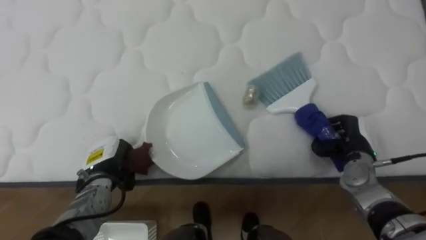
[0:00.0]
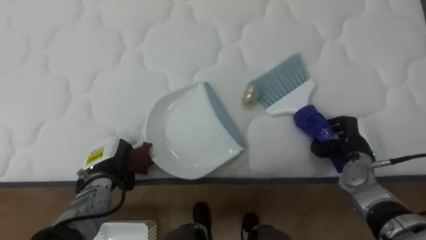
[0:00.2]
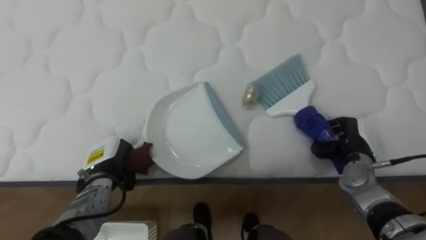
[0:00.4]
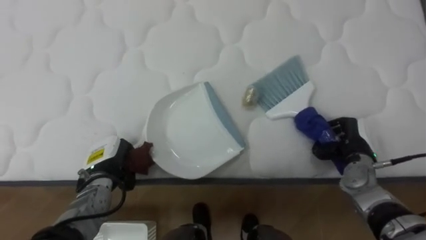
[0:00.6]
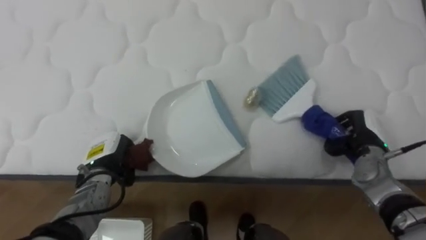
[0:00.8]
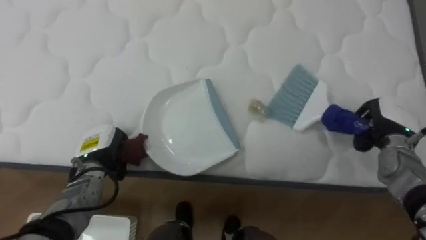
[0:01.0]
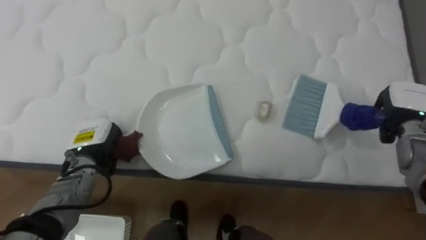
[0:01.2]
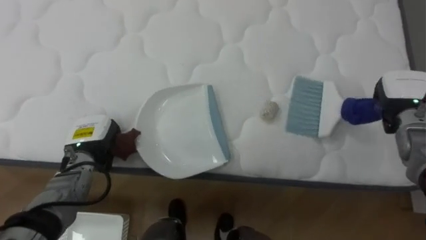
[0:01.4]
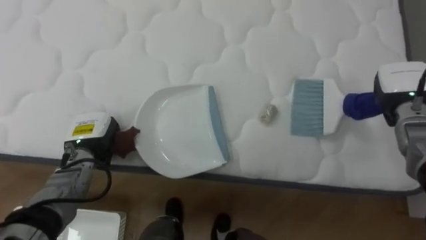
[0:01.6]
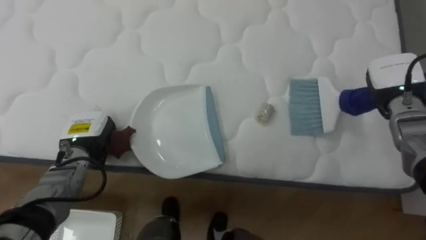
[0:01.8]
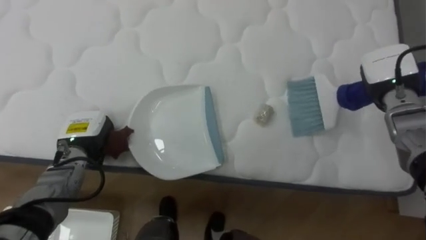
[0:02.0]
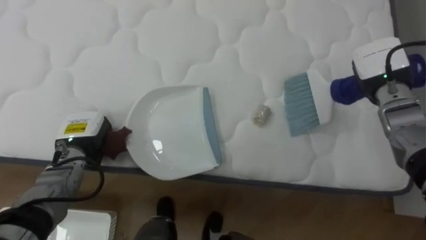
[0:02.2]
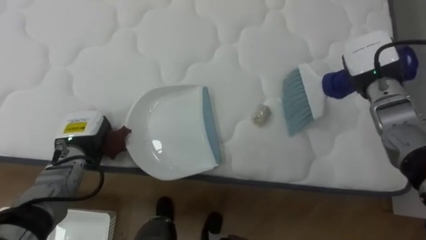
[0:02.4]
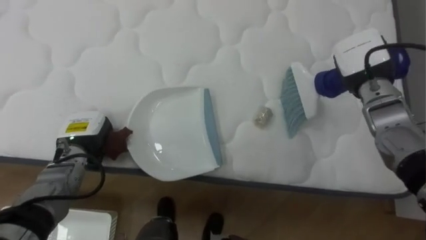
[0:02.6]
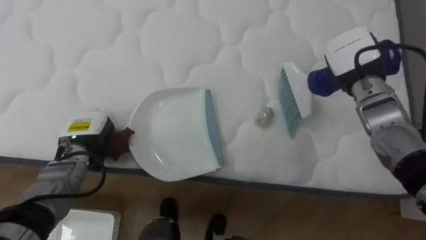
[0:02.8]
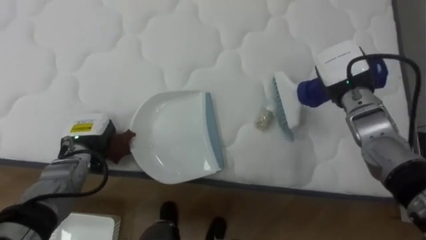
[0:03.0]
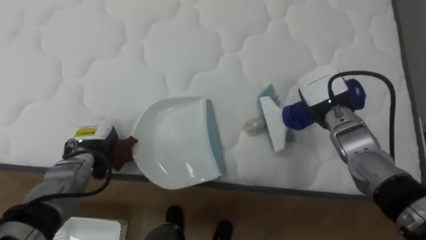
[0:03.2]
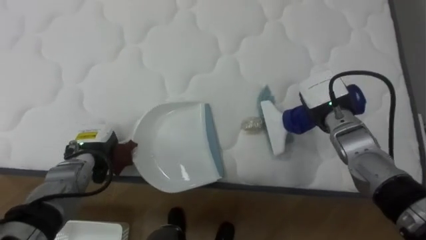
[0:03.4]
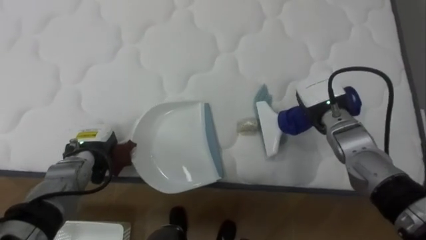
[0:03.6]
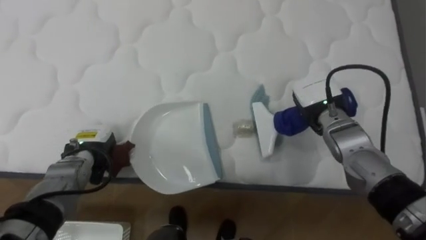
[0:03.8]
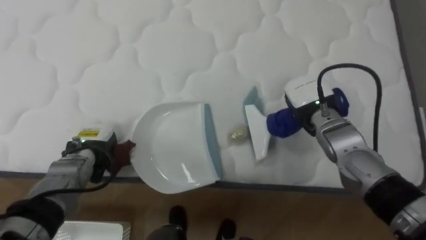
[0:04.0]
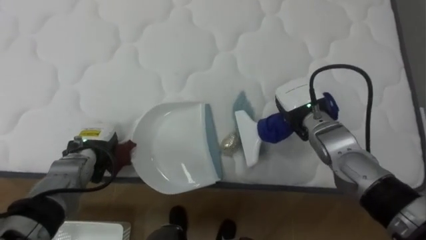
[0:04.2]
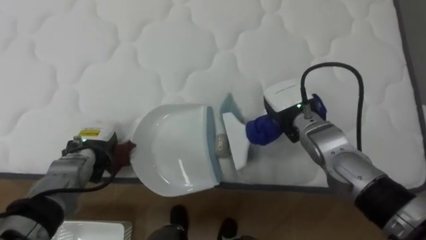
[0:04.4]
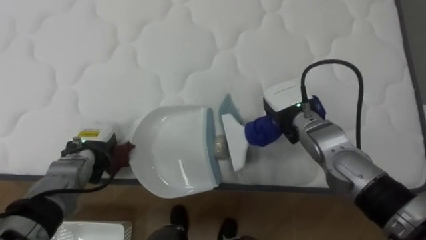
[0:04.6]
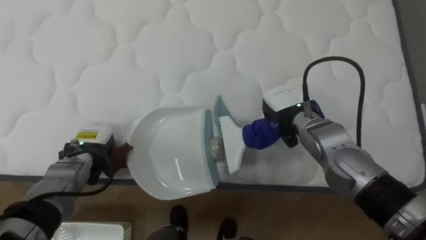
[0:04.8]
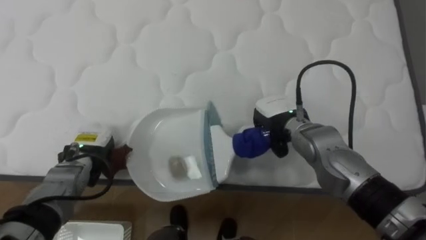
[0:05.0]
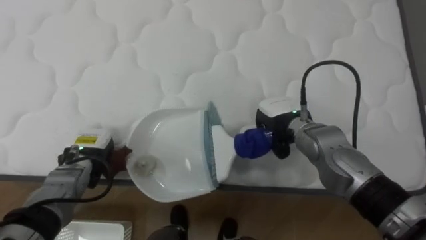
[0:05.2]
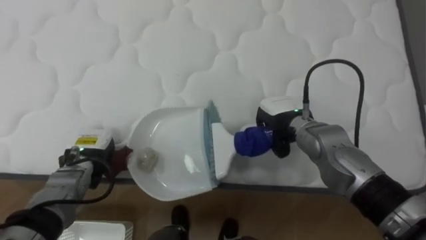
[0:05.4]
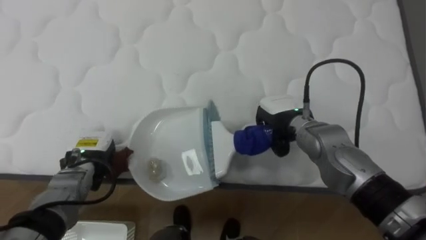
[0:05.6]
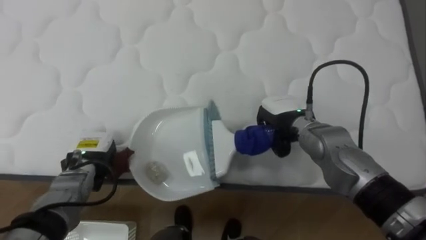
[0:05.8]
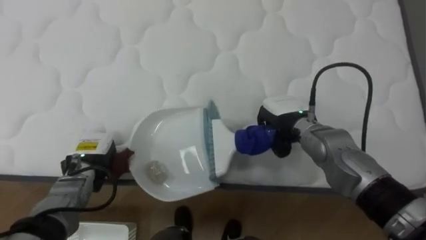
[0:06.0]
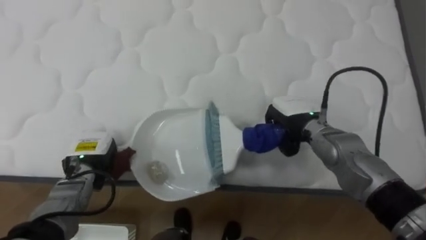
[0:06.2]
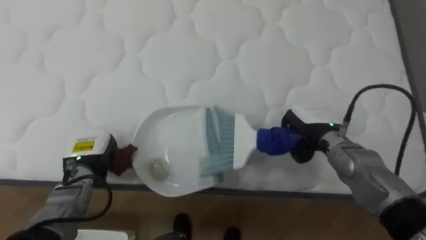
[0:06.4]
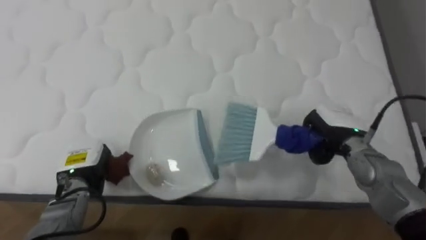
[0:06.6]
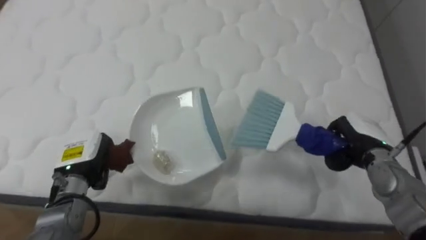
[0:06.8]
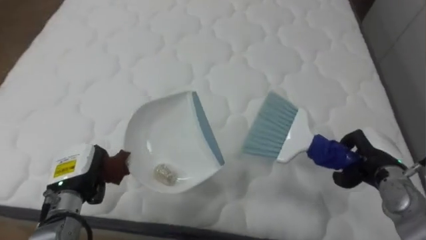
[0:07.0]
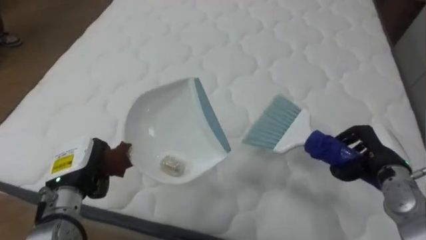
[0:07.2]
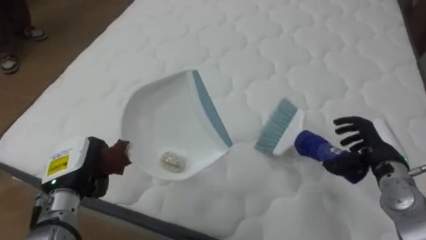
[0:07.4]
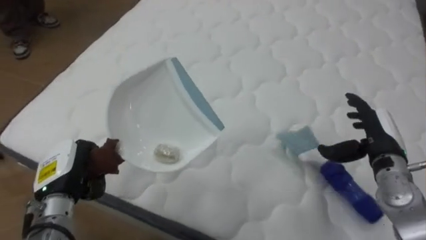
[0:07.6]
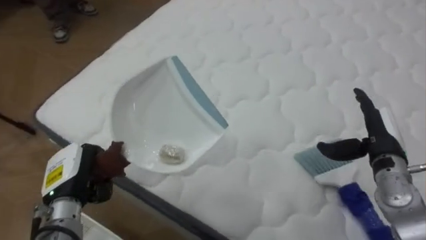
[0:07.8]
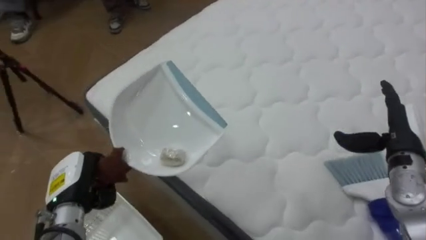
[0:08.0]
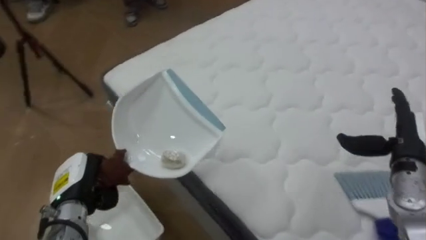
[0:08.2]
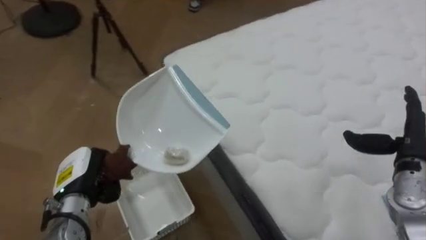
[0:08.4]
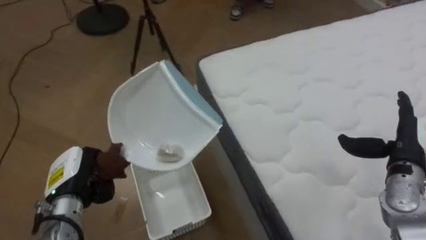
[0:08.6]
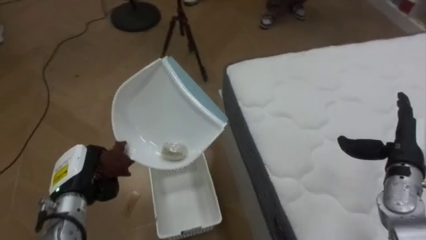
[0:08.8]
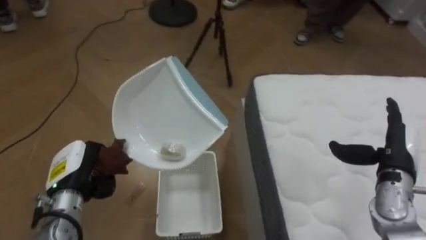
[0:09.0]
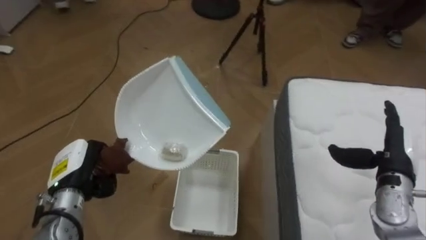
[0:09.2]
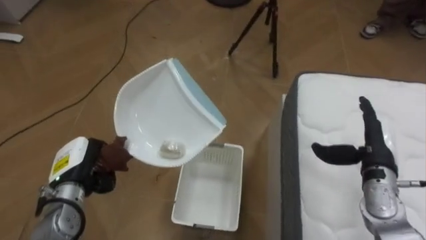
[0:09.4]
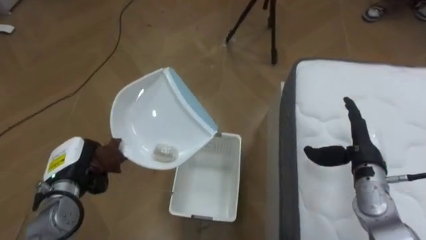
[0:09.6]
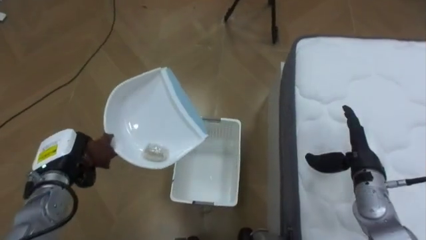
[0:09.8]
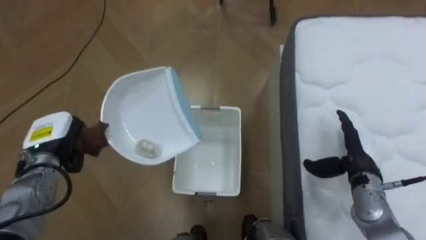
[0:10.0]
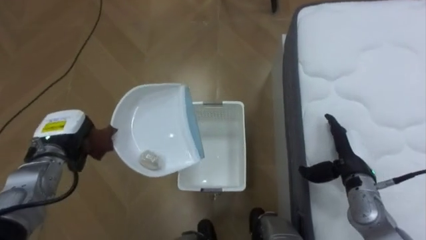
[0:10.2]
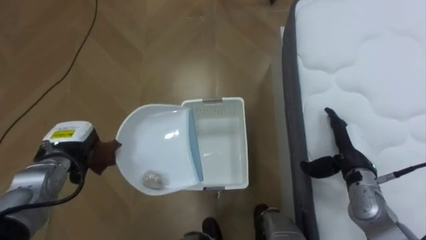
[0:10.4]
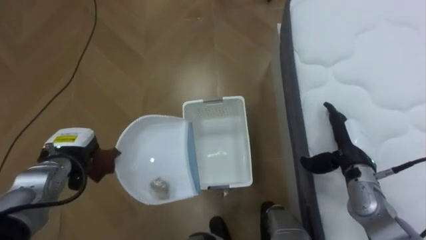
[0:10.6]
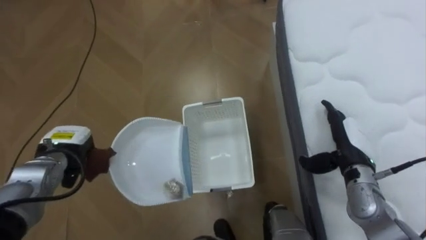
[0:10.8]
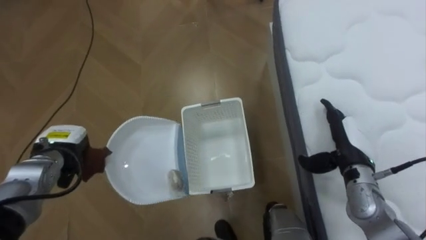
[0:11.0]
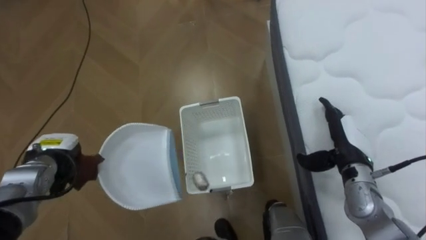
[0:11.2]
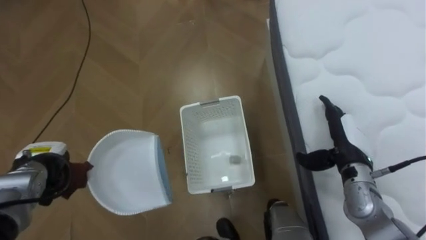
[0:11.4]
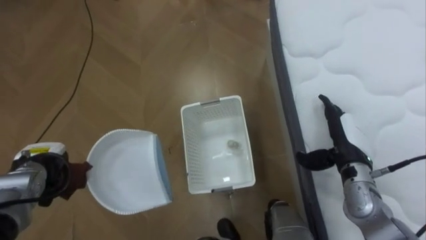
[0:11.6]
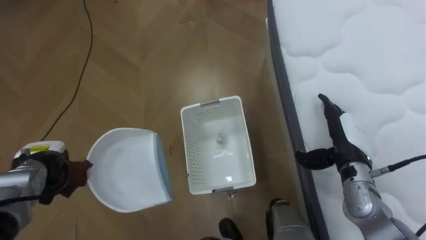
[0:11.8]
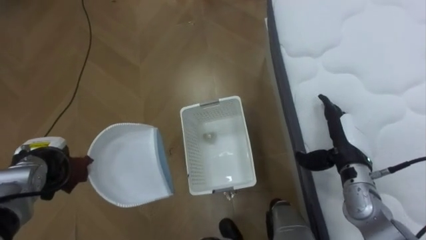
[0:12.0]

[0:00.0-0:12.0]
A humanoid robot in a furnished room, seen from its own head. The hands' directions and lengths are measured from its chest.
Task of the whole recording: Pick up the brush on your right and the dustpan on your left. Use the brush to sweep the crumpled paper on the bed into the dustpan, then turn left and empty it into the basket.
0:00.0 to 0:01.6: The right hand travels upward, to the right and forward by some 15 cm, while the left hand moves some 5 cm.
0:01.6 to 0:03.0: The right hand shifts approximately 10 cm to the left.
0:03.0 to 0:04.4: The right hand goes some 10 cm to the left and downward.
0:06.0 to 0:07.6: The robot turns to its left by about 20 degrees. The left hand goes about 10 cm backward and upward. The right hand shifts some 15 cm to the right, and opens.
0:07.6 to 0:09.0: The robot's body swings about 70 degrees to its left.
0:09.0 to 0:10.4: The right hand is displaced to the left by roughly 5 cm. Meanwhile the left hand shifts some 5 cm forward.
0:10.4 to 0:12.0: The left hand heads to the left, covering approximately 5 cm.

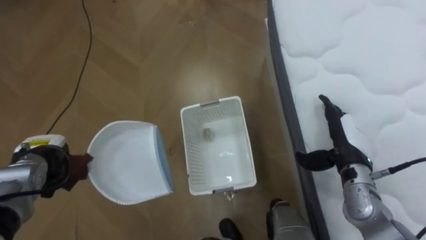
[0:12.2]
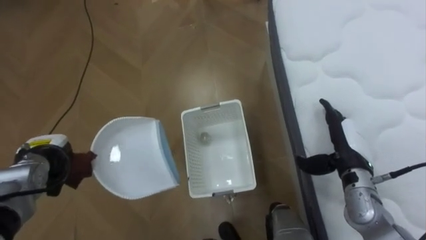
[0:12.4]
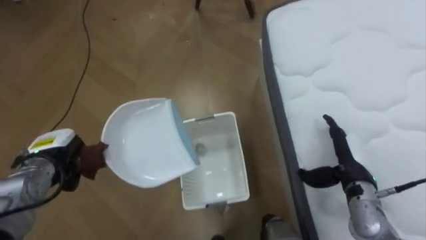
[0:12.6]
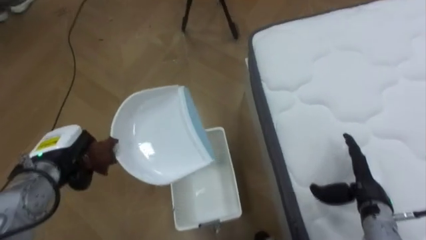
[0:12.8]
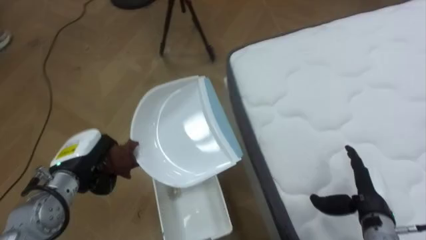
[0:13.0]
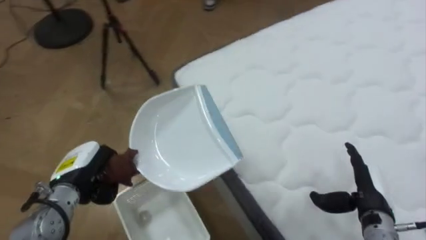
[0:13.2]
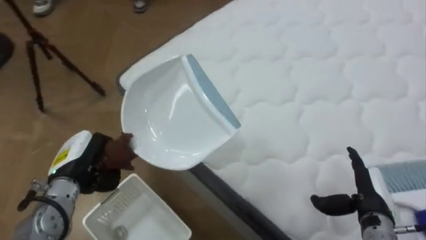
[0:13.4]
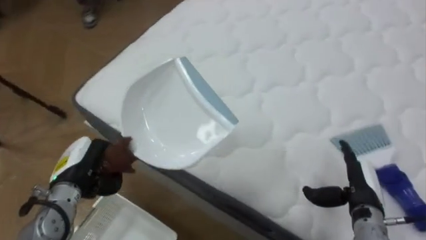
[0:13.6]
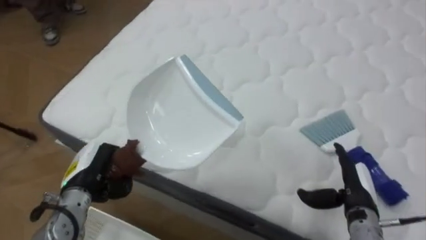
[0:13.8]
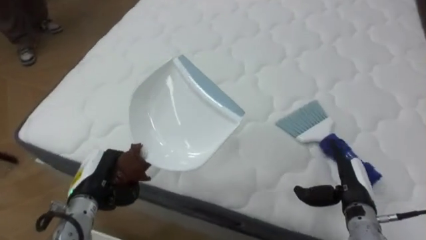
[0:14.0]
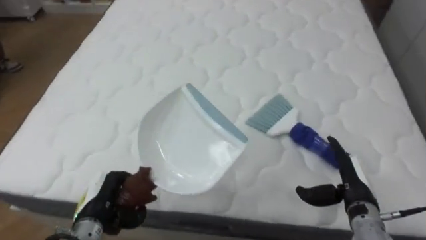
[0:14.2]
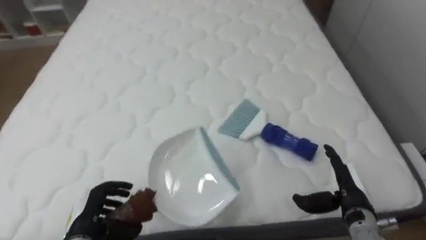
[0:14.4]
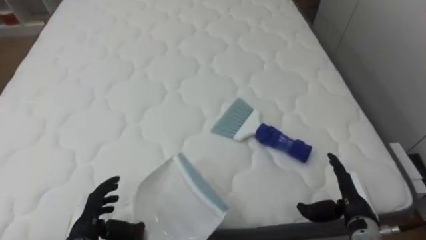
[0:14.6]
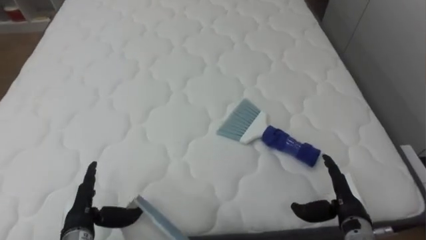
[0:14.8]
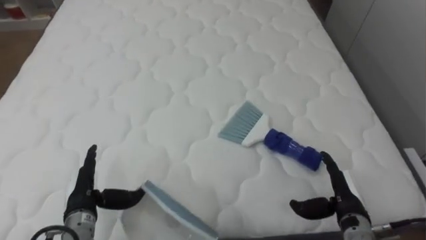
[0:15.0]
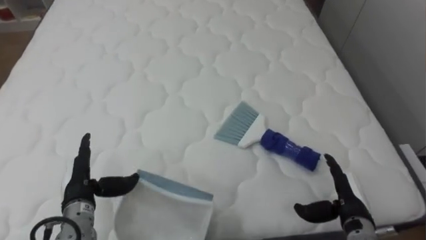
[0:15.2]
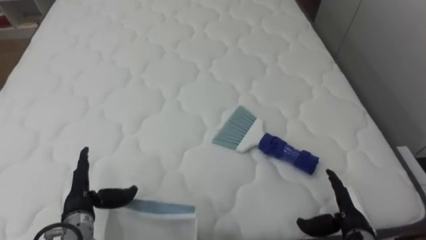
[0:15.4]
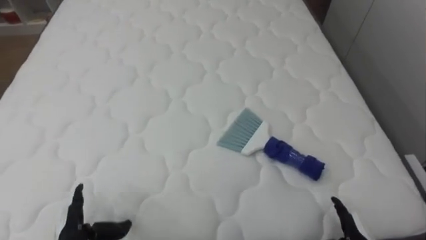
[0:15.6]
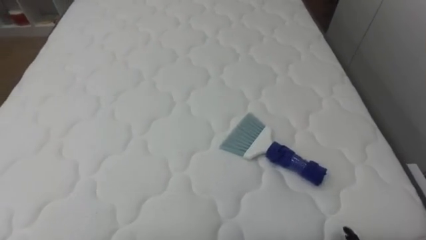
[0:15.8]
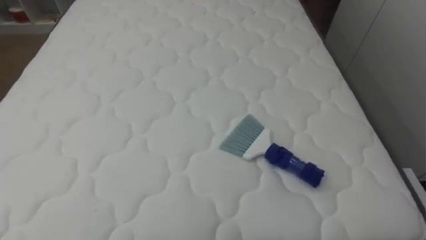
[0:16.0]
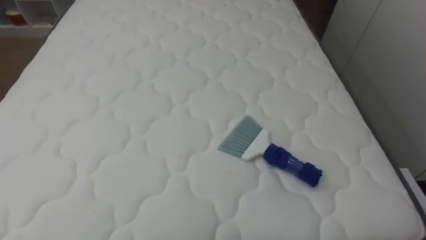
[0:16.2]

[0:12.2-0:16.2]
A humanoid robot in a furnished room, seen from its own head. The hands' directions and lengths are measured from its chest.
Task of the whole recording: Pick up the brush on your right and the dustpan on your left. Use the brush to sweep the crumpled paper on the bed into the dustpan, then turn left and empty it into the basket.
0:12.2 to 0:13.6: The robot rotates roughly 70 degrees to its right. The left hand goes about 10 cm to the right. Meanwhile the right hand travels backward and downward by roughly 10 cm.
0:13.6 to 0:14.8: The robot faces roughly 35 degrees further to its right. The left hand shifts approximately 10 cm downward and backward, and opens its fingers.
